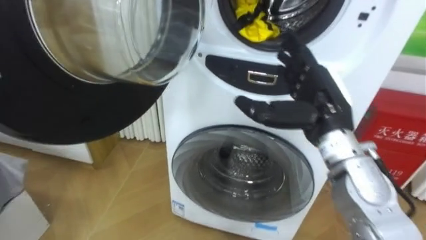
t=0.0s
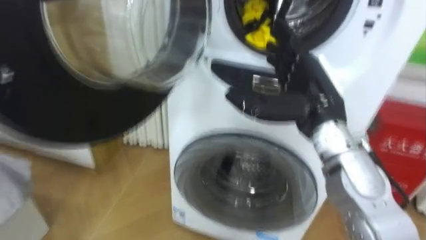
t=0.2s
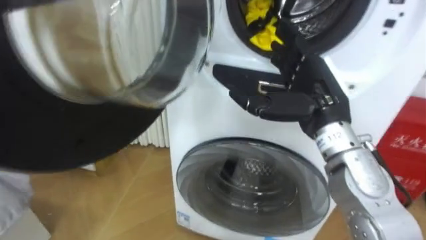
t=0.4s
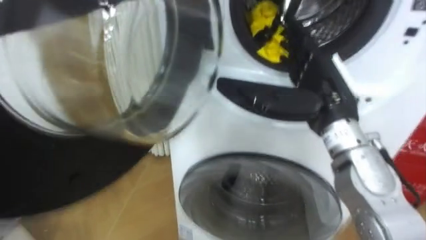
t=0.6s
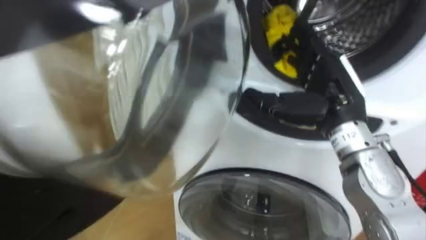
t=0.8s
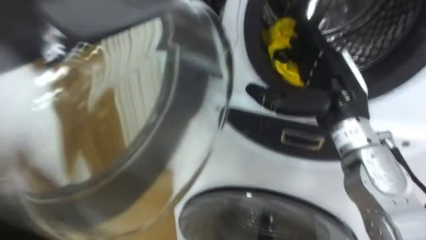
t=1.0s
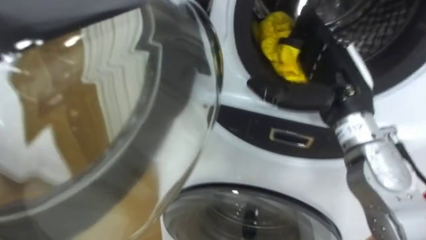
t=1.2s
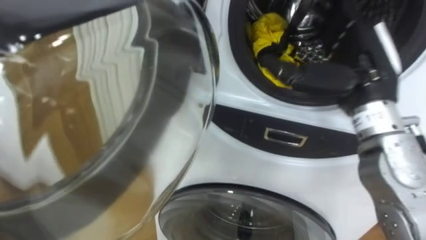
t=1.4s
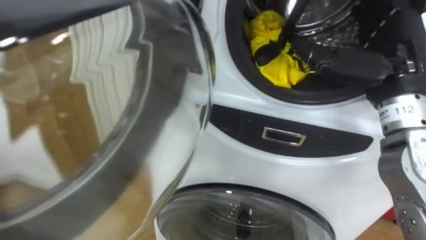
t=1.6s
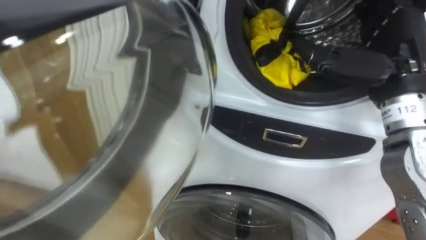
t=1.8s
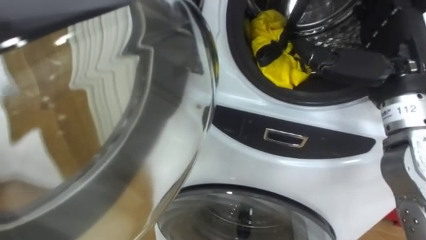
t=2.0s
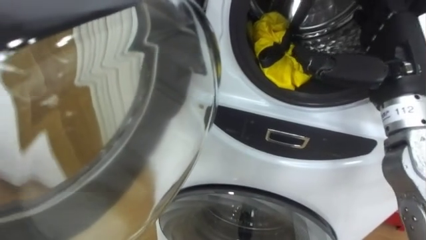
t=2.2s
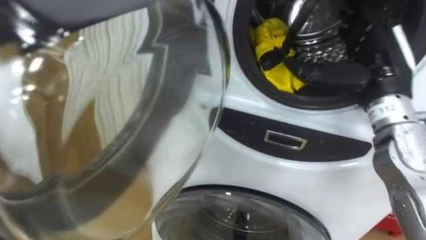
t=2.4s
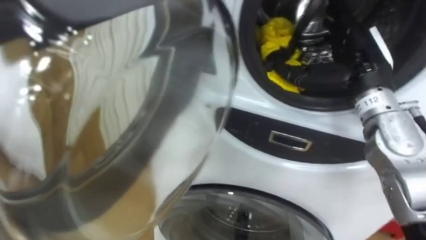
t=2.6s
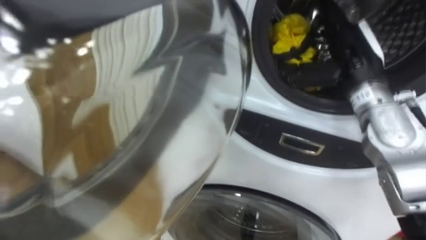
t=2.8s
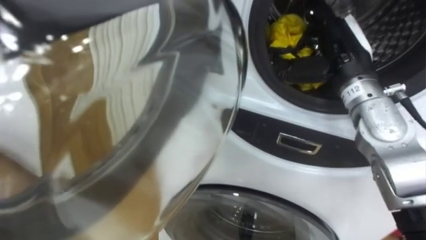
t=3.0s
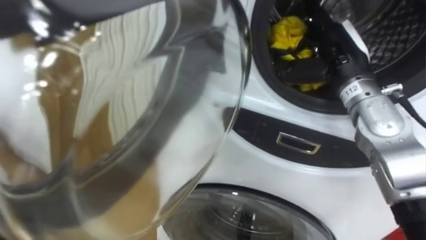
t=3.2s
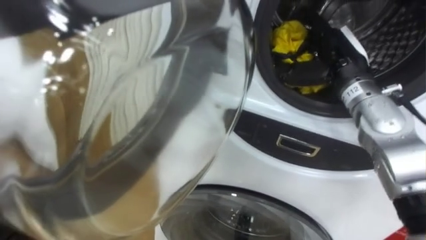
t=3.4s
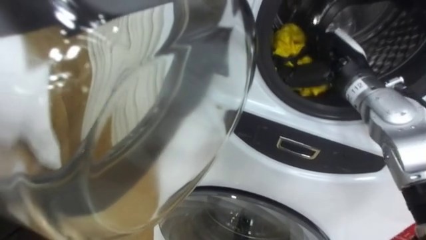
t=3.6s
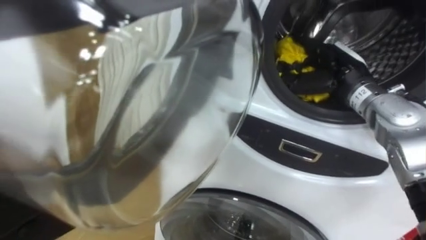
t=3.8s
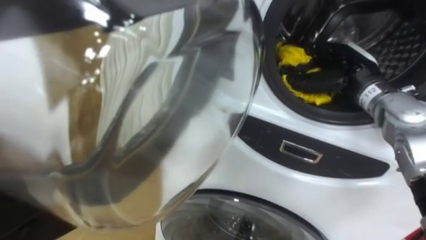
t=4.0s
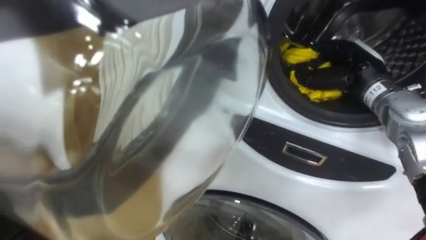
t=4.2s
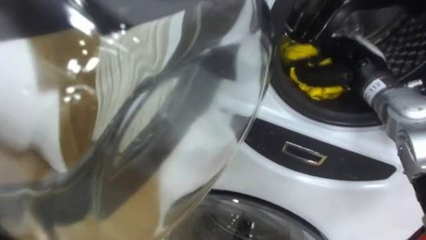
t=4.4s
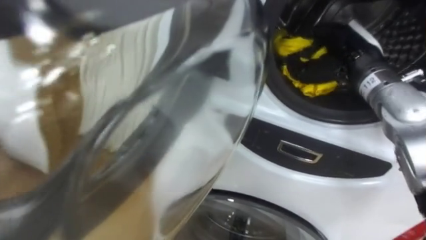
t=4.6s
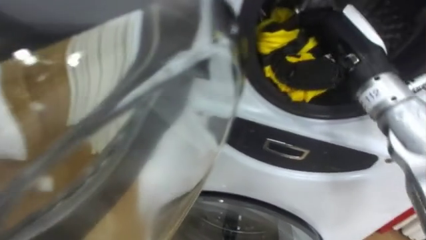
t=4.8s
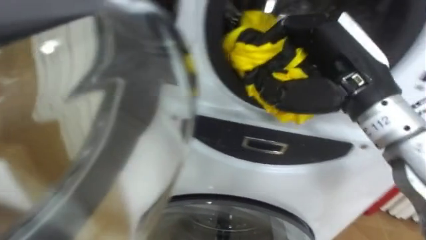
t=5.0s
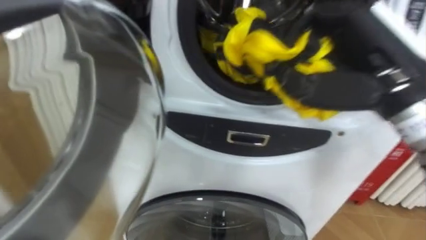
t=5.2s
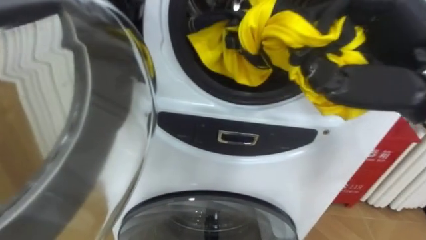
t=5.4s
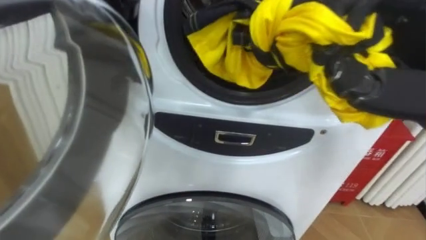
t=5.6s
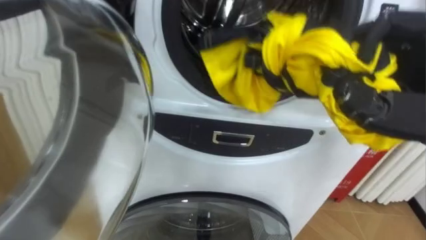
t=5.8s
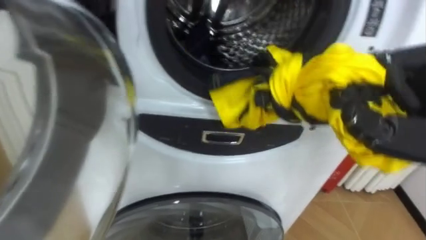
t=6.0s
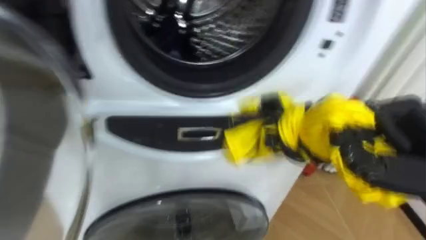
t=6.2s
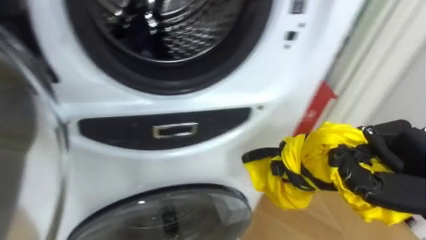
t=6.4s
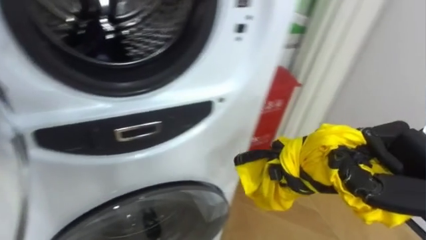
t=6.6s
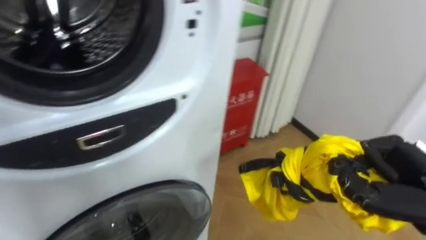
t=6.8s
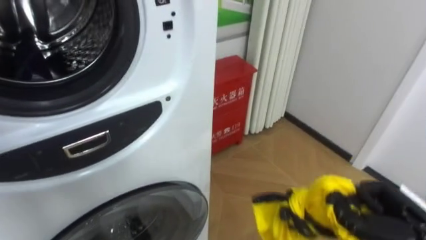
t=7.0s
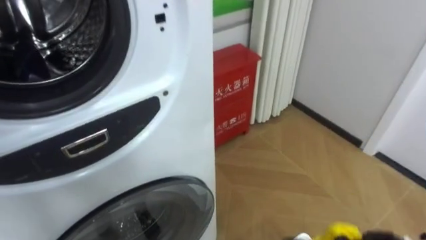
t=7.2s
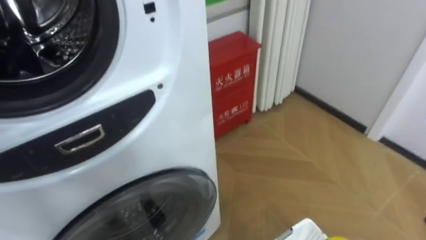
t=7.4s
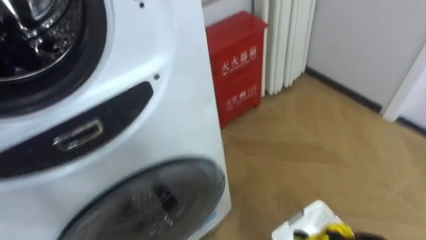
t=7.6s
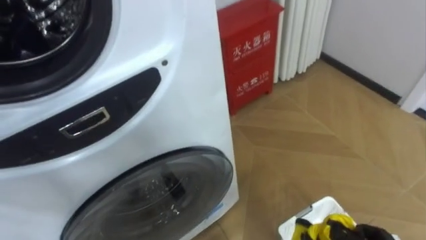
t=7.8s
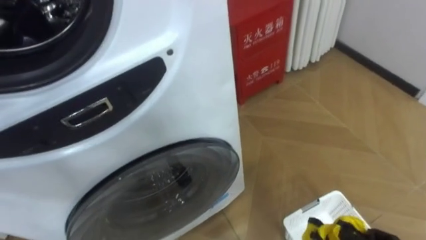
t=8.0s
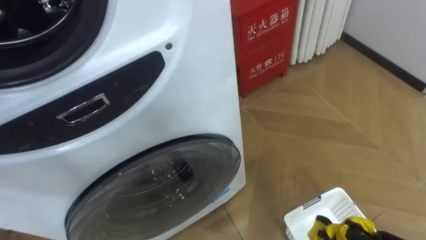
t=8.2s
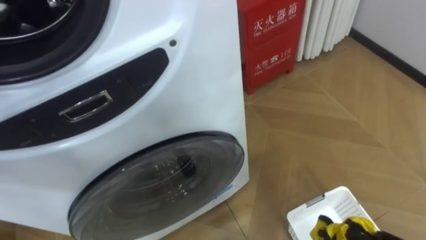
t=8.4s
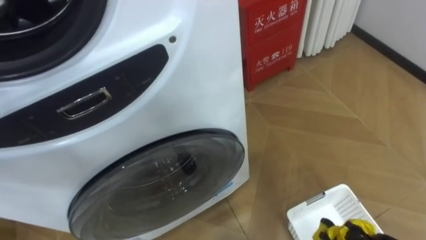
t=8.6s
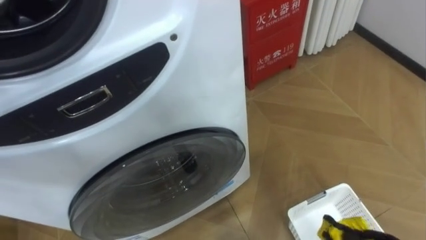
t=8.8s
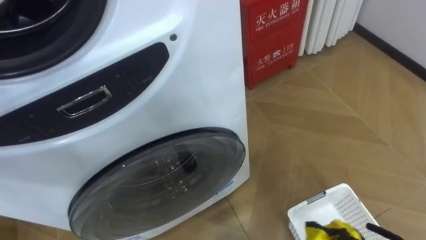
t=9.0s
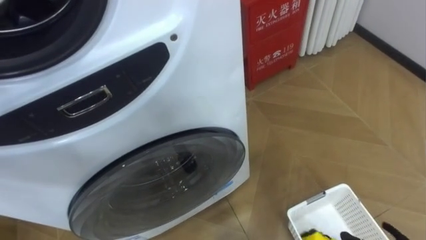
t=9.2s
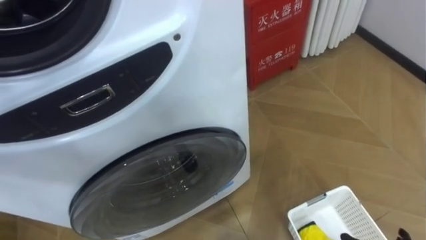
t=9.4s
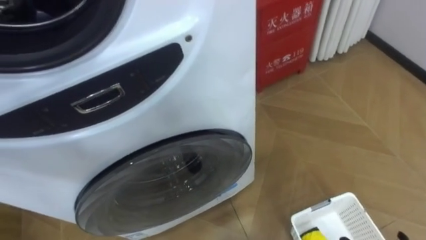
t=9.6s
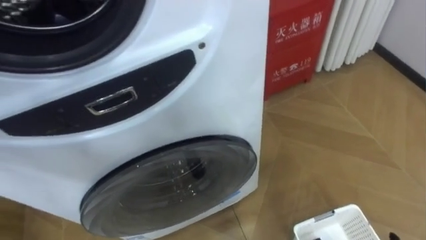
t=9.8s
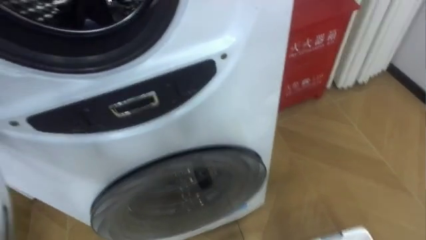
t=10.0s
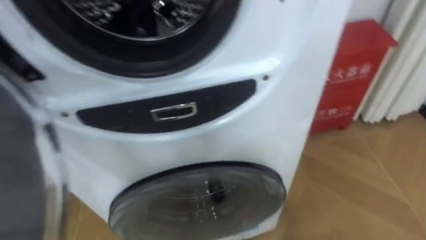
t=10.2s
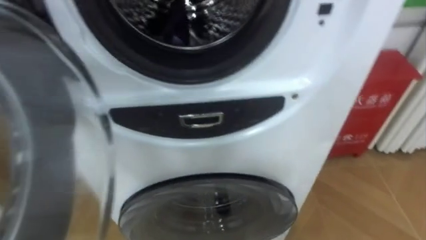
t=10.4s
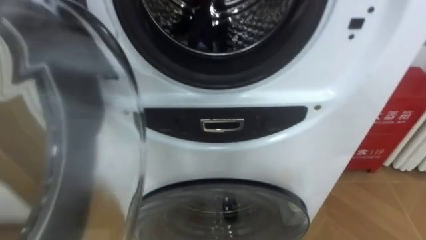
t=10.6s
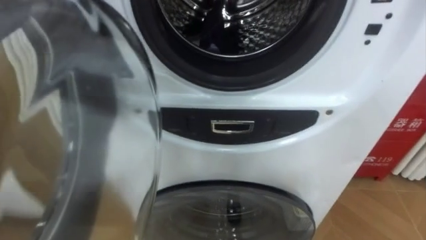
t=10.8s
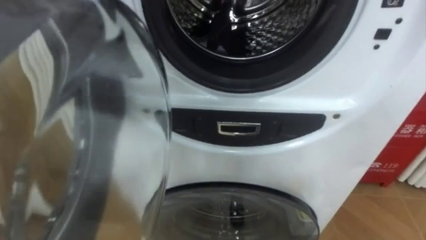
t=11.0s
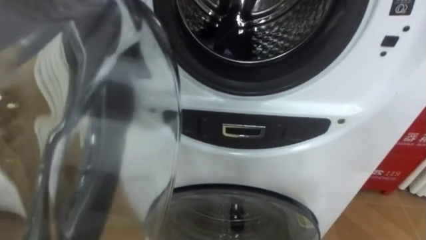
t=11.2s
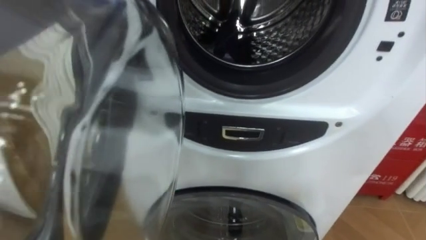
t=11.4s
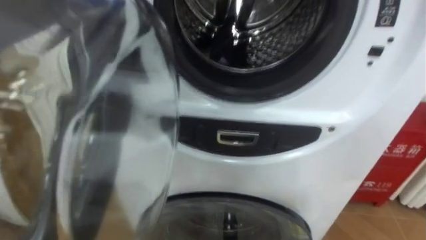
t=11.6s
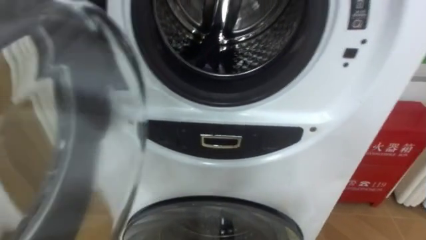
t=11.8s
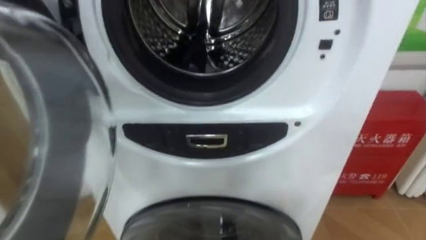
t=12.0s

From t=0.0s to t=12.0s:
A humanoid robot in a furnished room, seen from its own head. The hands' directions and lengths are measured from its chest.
Task of the whole recording: Open the washing machine door, take out the yellow clothes, place them in the box on the right, and close the washing machine door.
From t=0.0s to t=1.6s: The right hand moves to the right and upward, some 10 cm.
From t=1.6s to t=3.0s: The right hand goes roughly 5 cm forward.
From t=3.0s to t=4.4s: The right hand moves about 5 cm, and closes.
From t=6.0s to t=7.6s: The robot rotates roughly 25 degrees to its right.

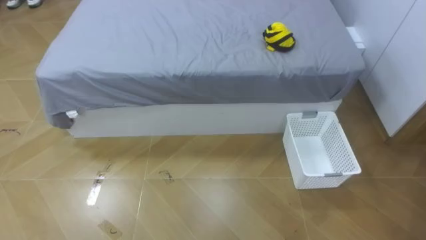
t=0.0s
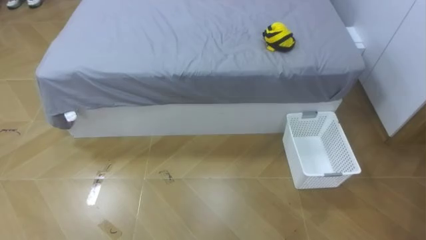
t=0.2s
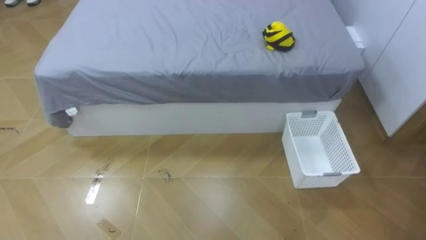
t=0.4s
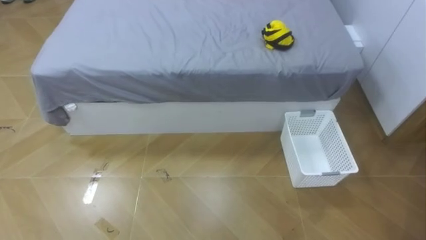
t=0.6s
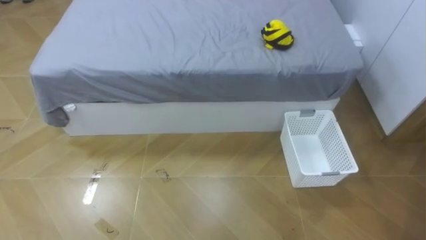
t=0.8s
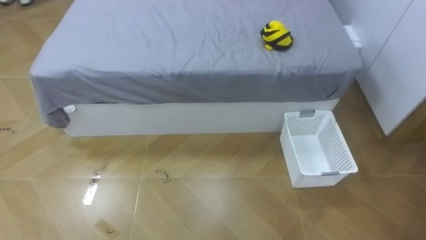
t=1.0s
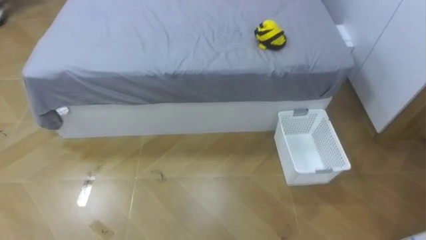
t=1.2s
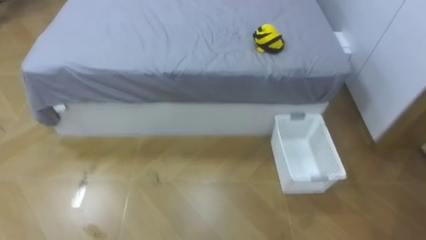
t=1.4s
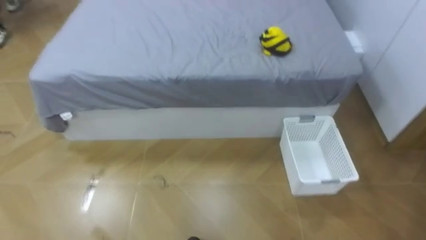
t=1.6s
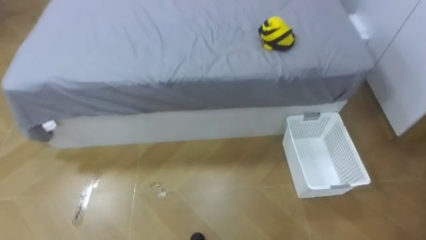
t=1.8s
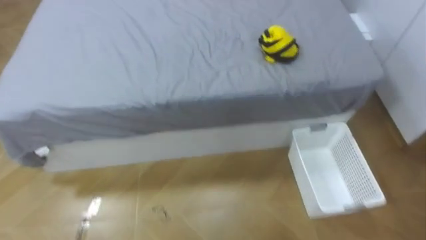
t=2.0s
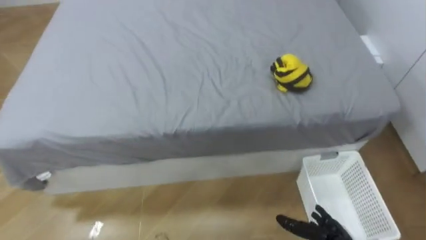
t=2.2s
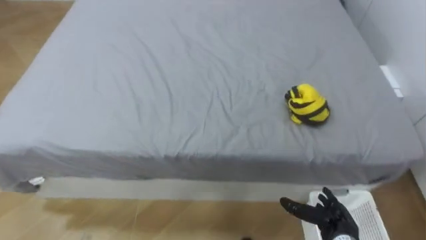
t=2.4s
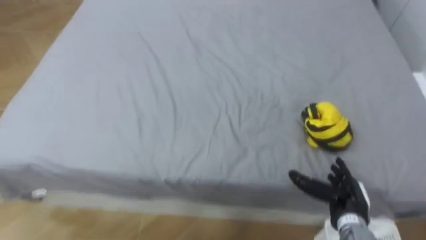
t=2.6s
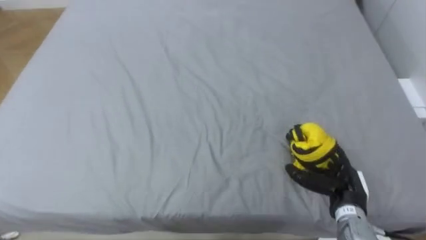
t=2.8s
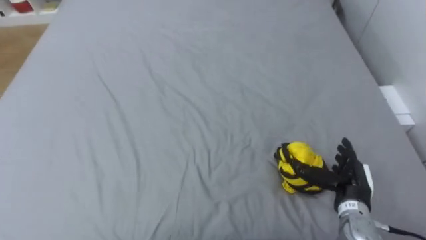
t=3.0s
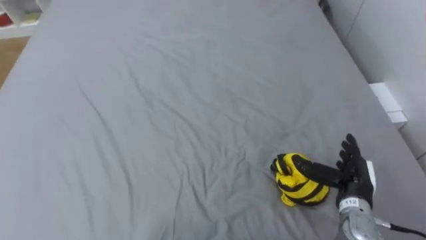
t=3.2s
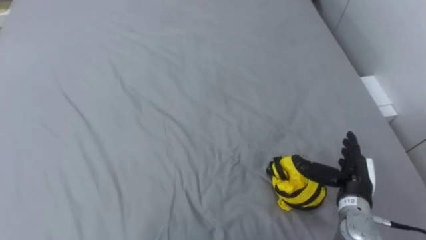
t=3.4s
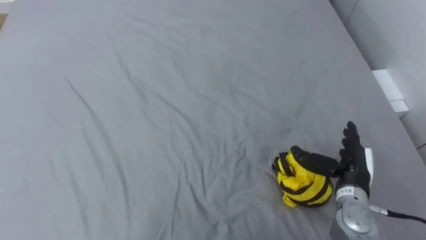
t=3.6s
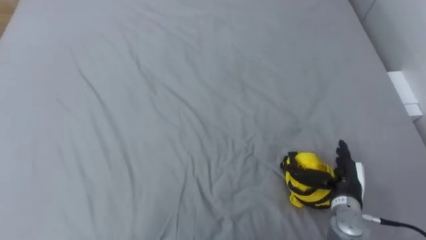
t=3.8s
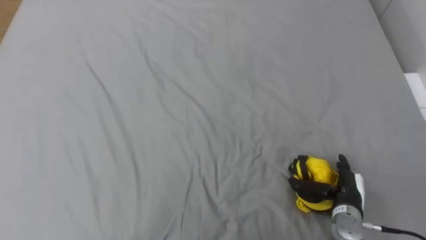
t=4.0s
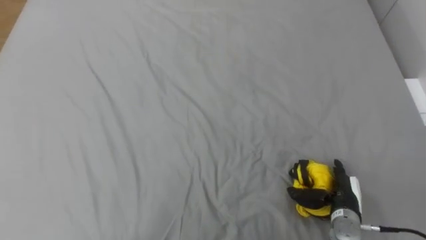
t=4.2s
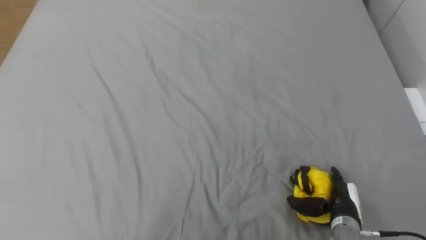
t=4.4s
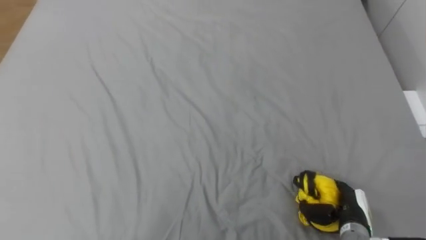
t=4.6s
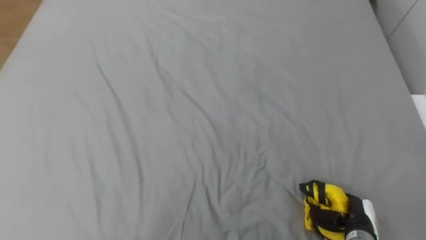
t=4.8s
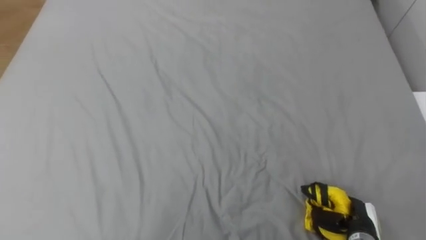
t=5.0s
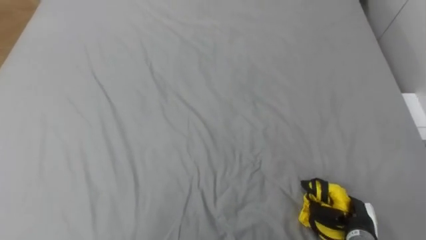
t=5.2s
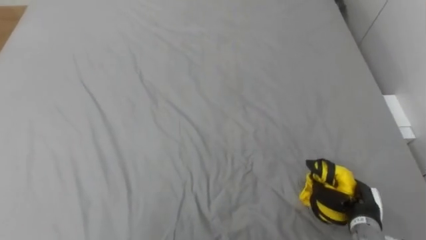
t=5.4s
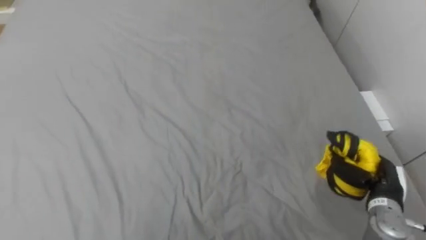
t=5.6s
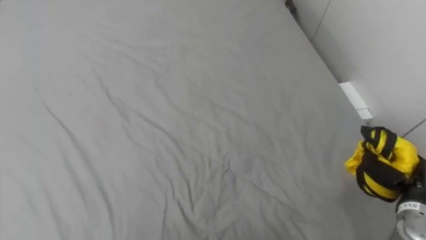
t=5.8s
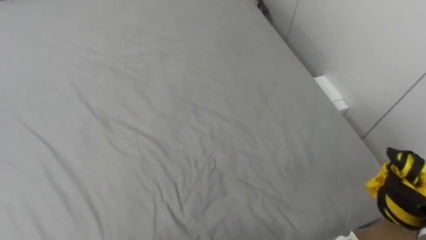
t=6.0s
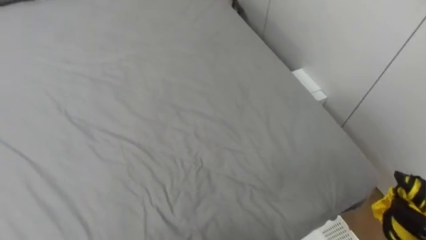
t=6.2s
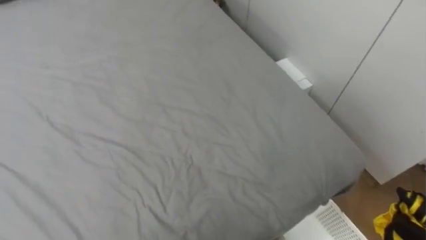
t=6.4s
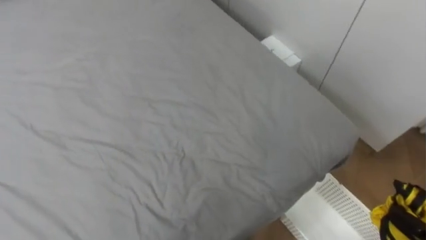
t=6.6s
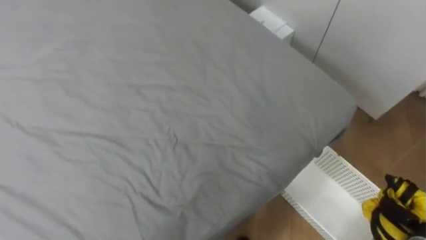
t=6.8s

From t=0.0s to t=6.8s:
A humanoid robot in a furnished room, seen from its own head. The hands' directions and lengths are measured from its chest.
Task of the whole recording: Pick up the yellow clothes on the bed and place them into the white basket on the right.
From t=4.0s to t=5.4s: The right hand closes its fingers.
